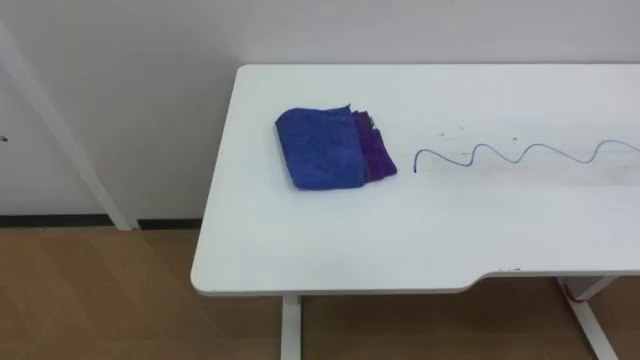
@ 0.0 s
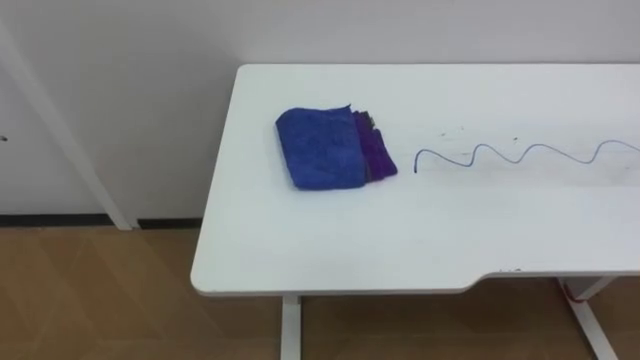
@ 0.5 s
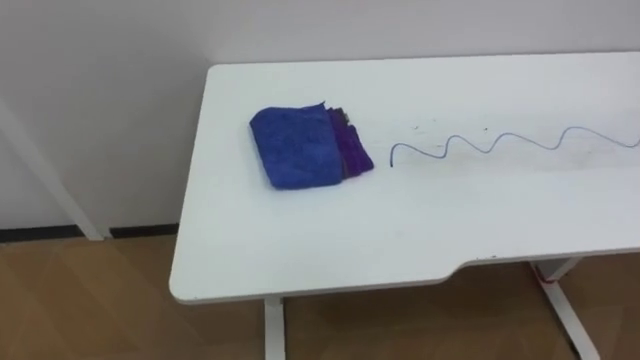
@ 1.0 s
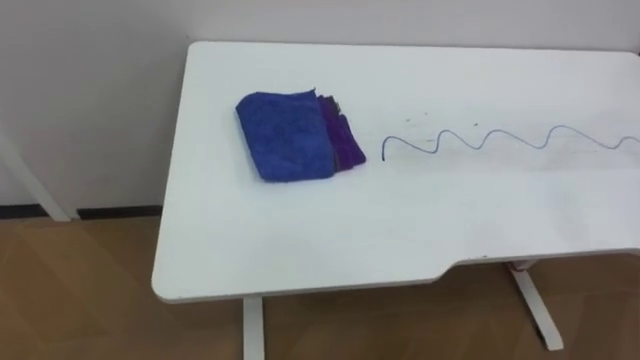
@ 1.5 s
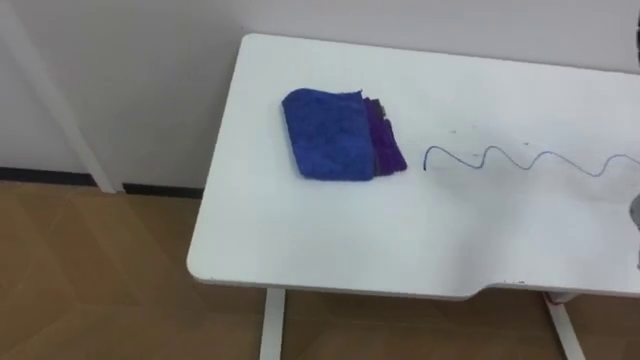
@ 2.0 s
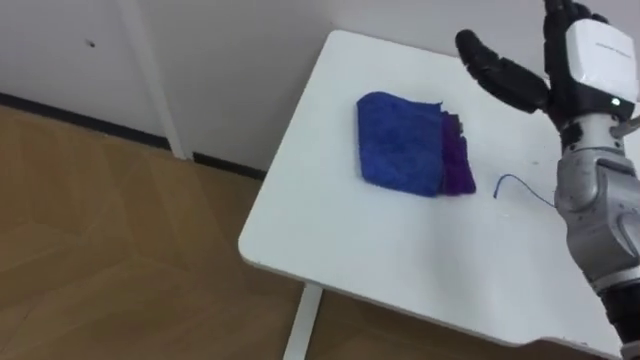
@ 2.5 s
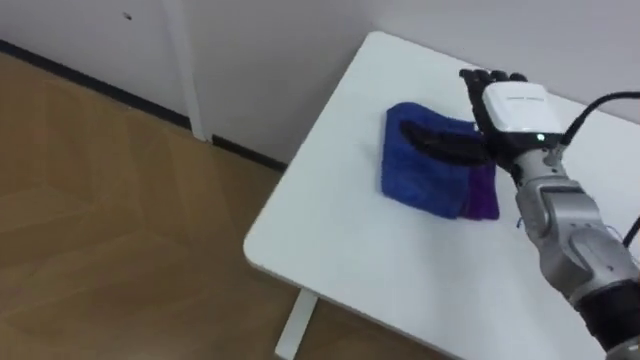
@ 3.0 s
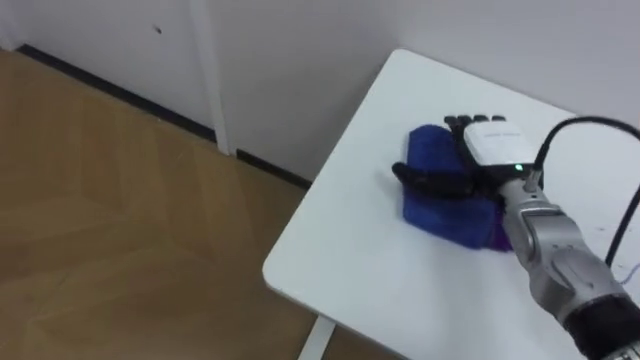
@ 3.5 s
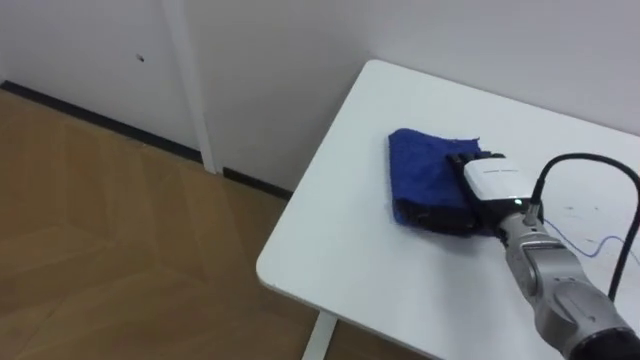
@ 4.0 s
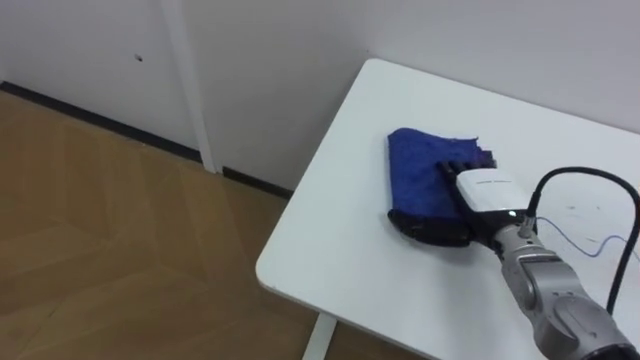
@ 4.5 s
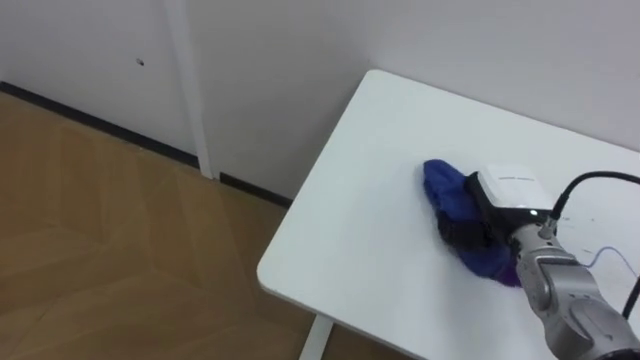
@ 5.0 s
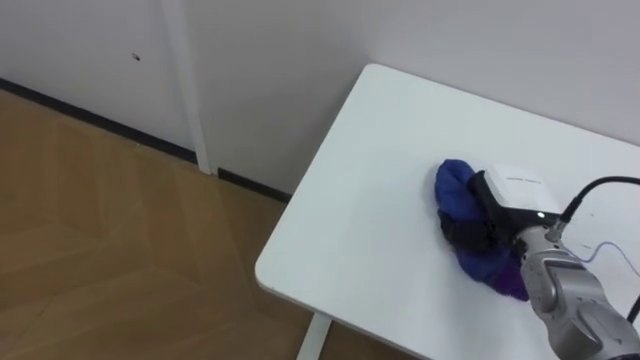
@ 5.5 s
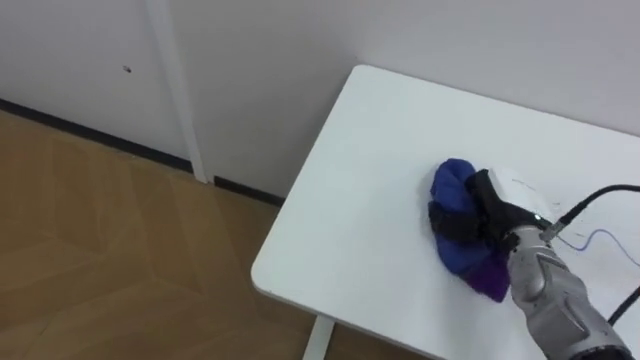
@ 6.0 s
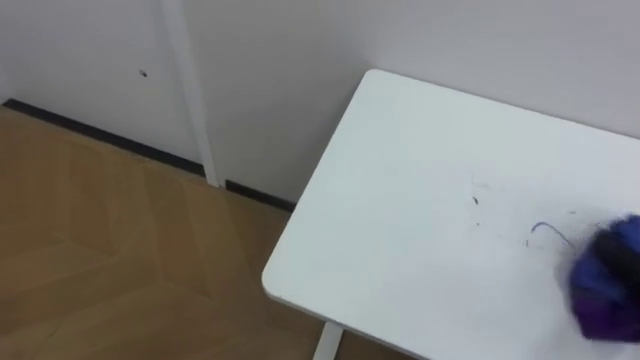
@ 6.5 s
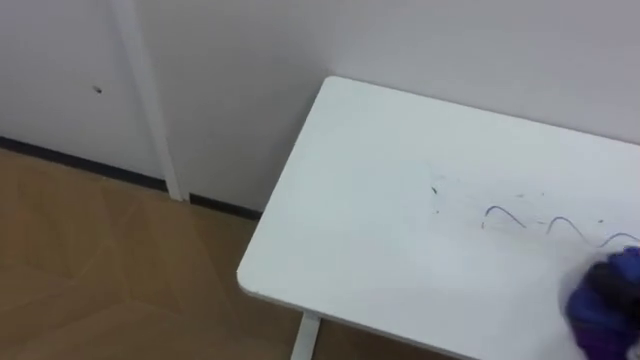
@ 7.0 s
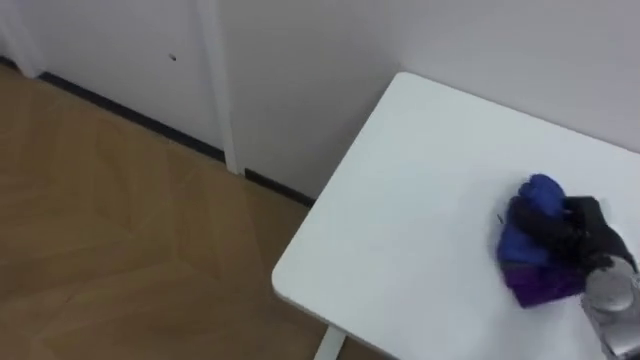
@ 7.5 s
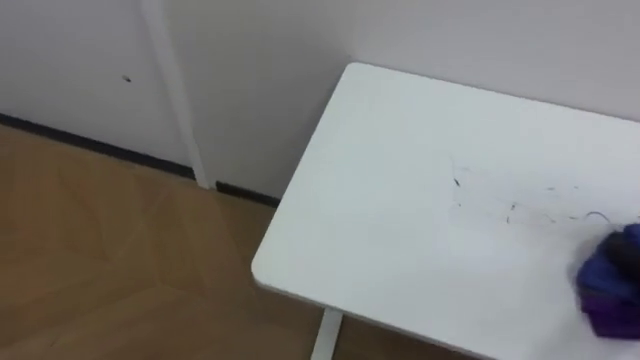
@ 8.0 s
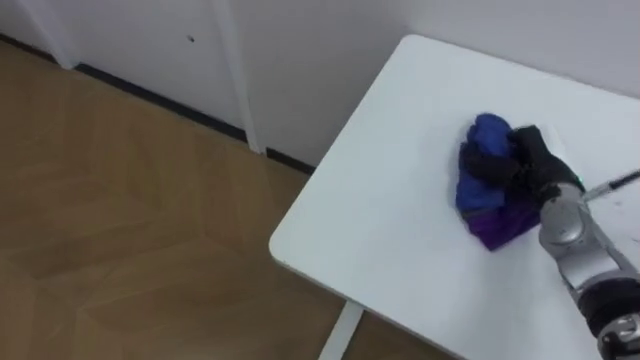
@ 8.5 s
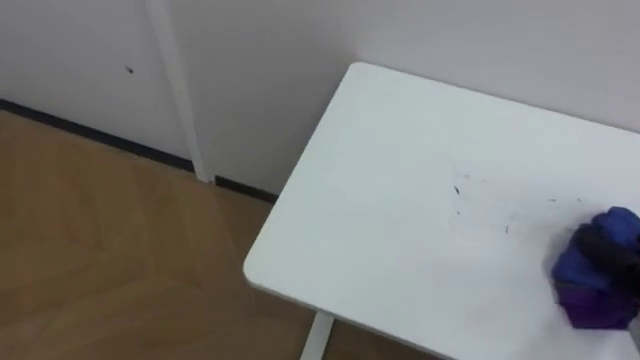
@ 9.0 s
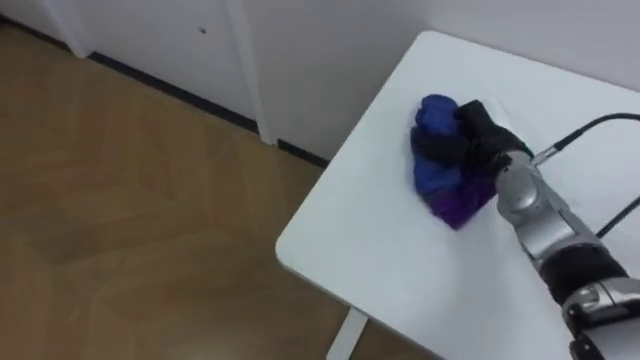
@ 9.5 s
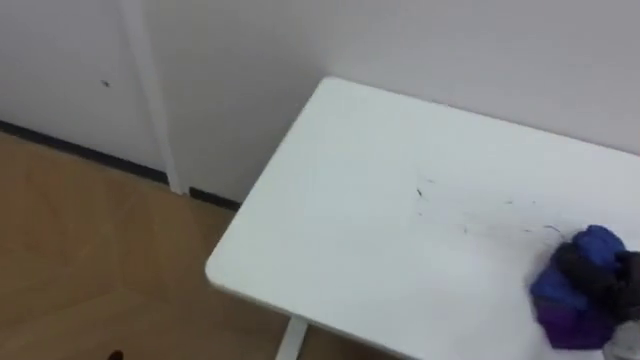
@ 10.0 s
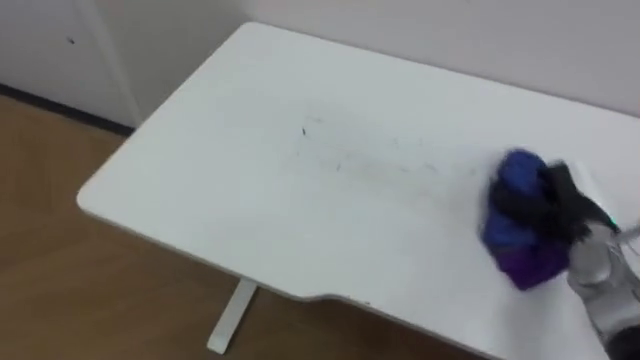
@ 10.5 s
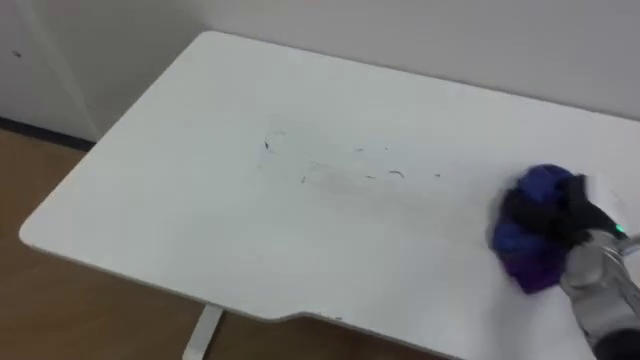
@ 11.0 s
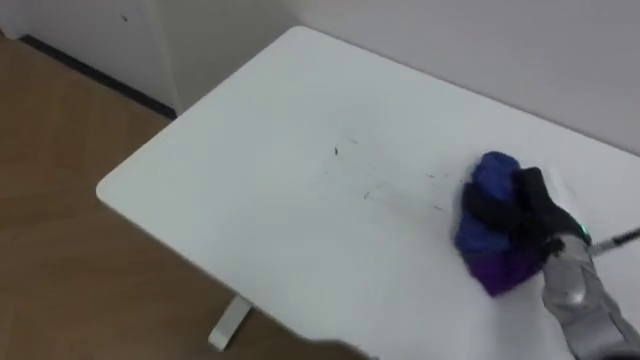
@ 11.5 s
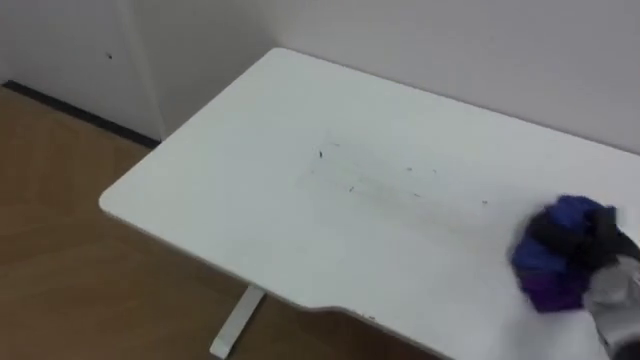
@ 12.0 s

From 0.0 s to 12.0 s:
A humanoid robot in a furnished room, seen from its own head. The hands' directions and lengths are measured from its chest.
Task of the whole recording: Wipe the blue pen marks off the table with the rag.
From 4.0 s to 6.0 s: The right hand closes up.

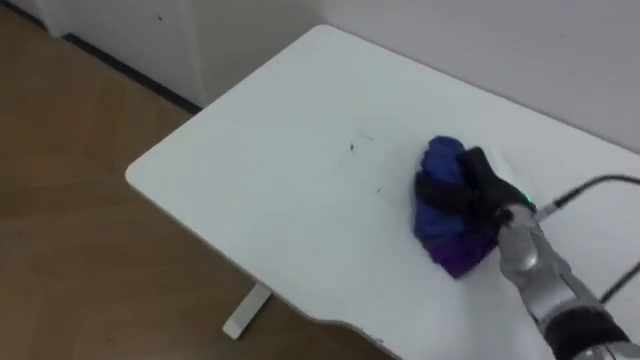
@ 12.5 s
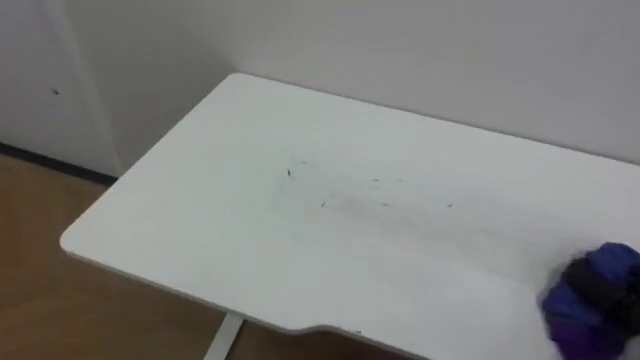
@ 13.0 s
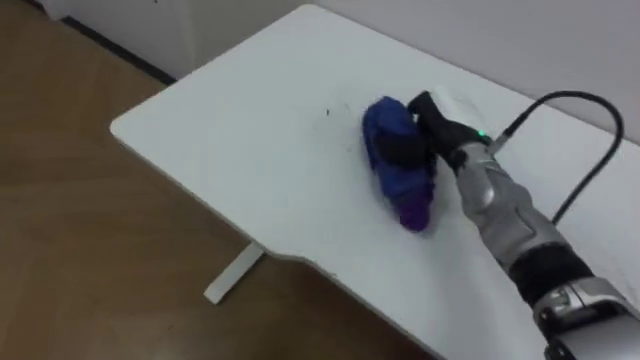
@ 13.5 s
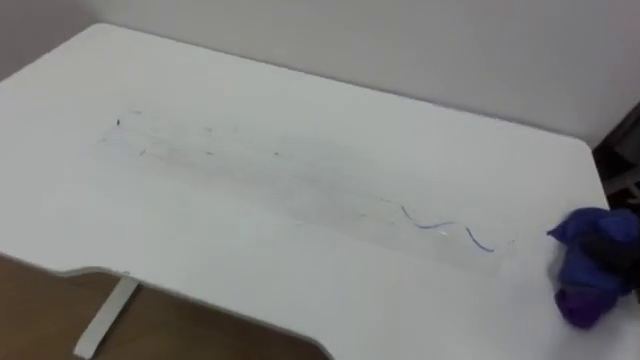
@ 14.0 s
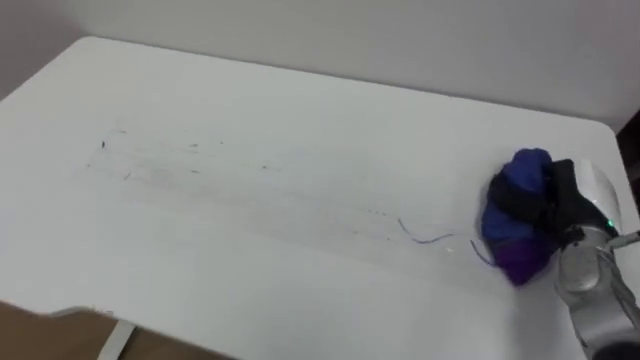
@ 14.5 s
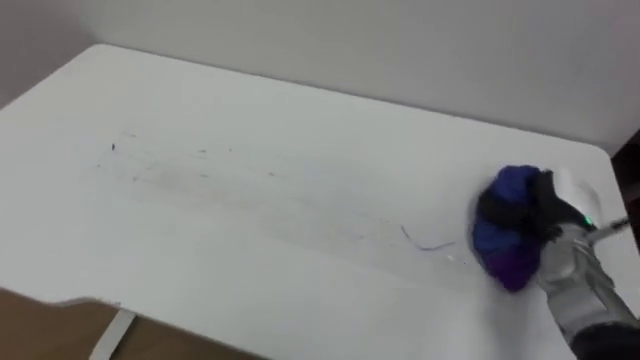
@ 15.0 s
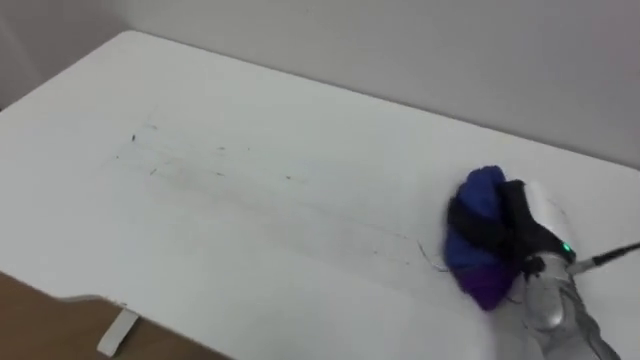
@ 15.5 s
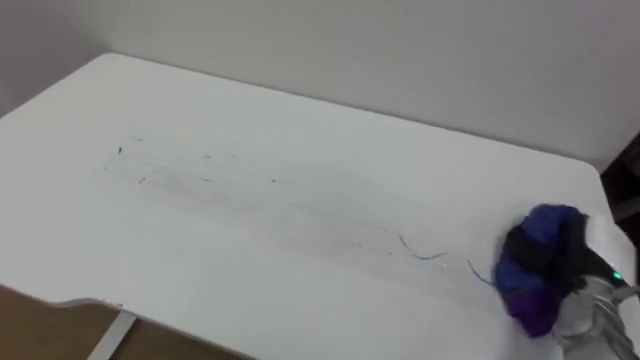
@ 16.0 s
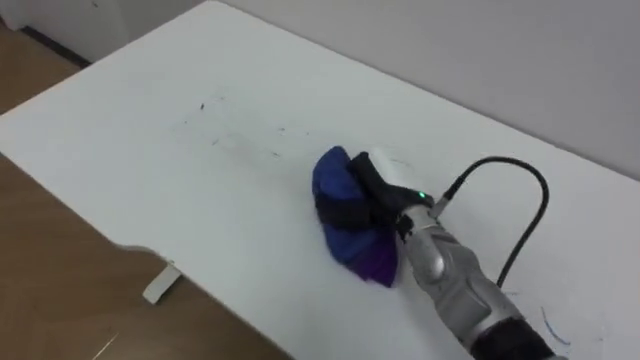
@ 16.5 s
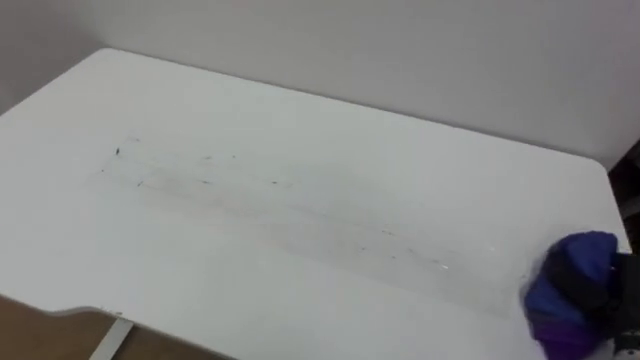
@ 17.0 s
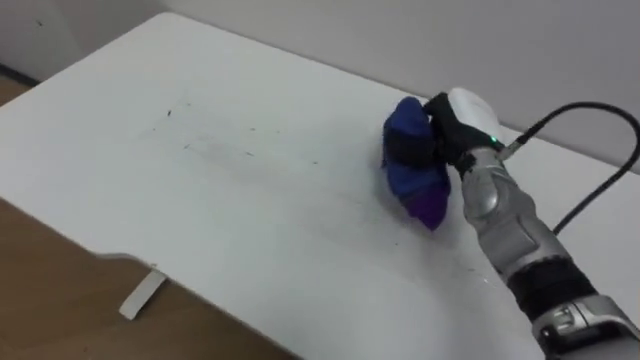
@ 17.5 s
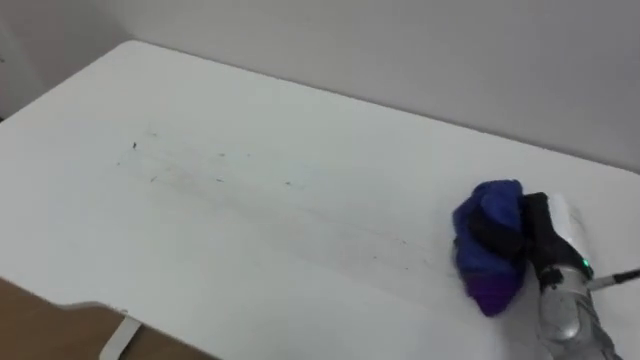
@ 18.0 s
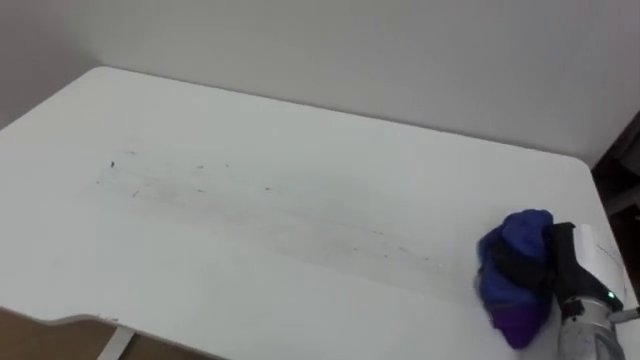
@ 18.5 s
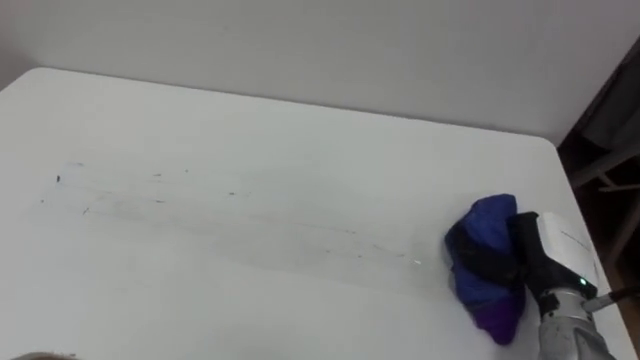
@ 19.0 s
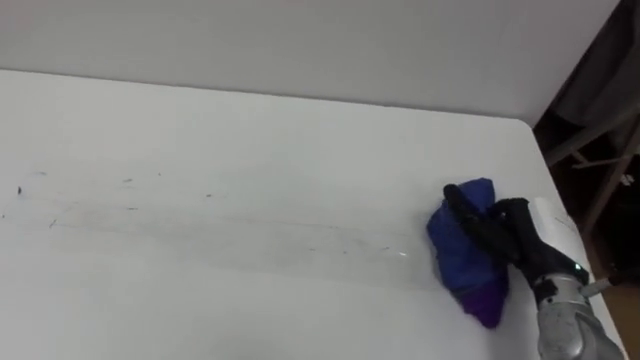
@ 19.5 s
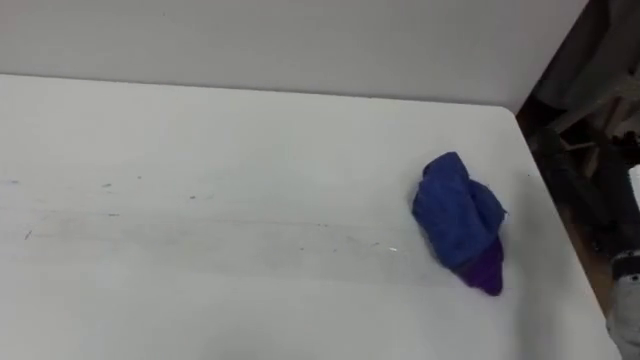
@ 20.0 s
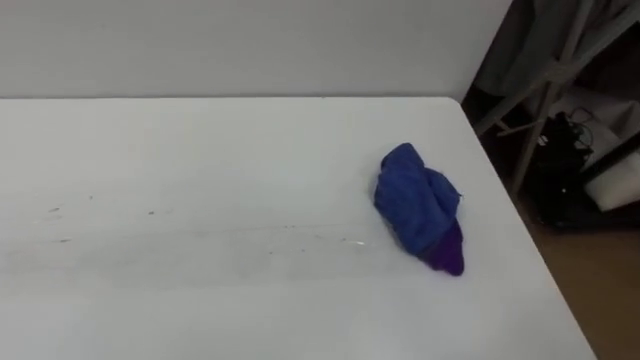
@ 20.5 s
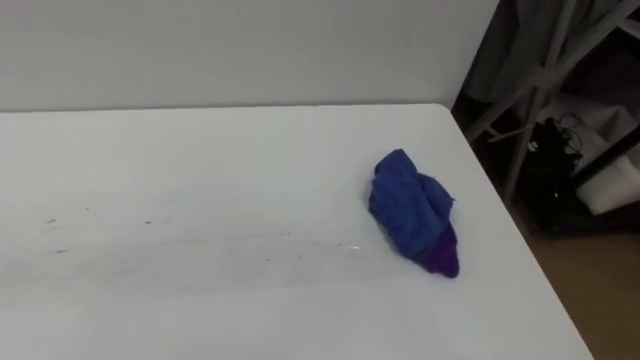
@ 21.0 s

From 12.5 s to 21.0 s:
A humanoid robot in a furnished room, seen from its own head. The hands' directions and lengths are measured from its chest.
Task of the whole recording: Wipe the blue pen marks off the table with the rag.
From 14.5 s to 16.5 s: The right hand goes left and right, approximately 25 cm each way, reversing 2 times.
From 16.5 s to 19.0 s: The right hand goes left and right, some 30 cm each way, reversing 3 times.
